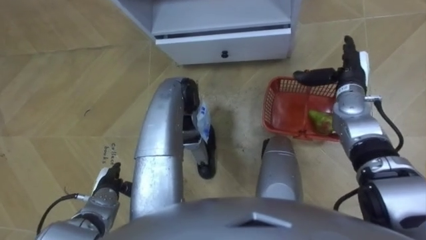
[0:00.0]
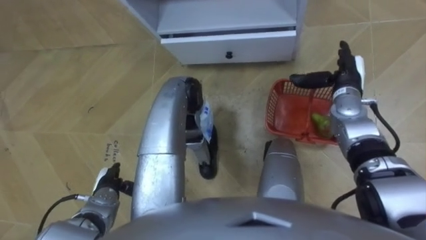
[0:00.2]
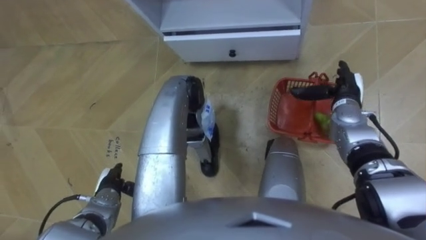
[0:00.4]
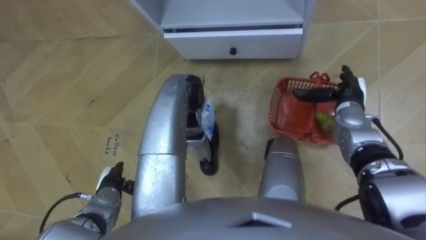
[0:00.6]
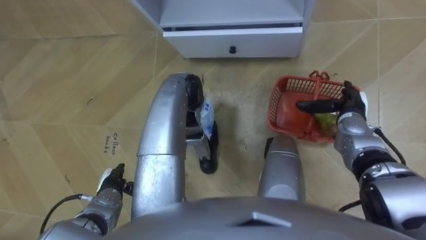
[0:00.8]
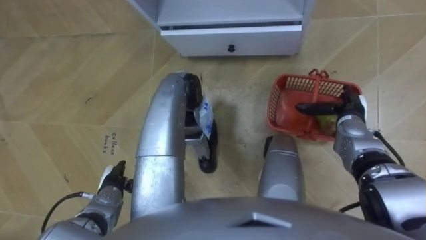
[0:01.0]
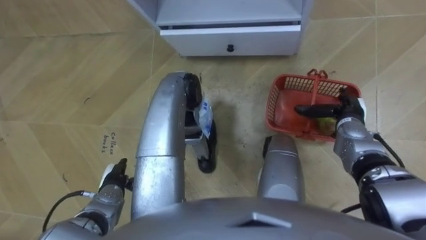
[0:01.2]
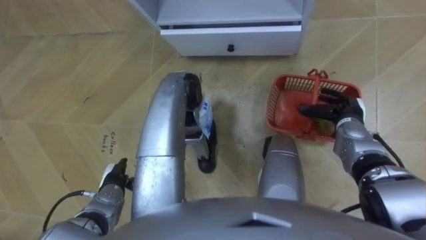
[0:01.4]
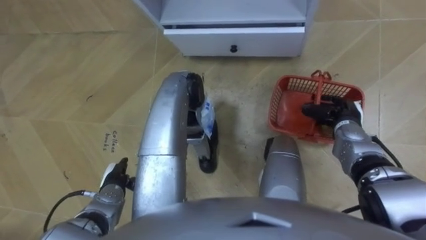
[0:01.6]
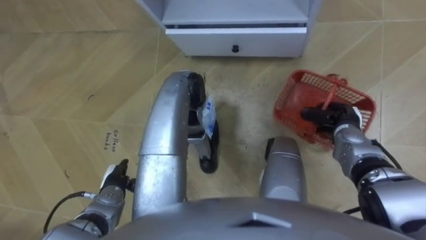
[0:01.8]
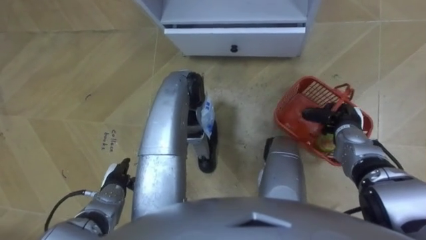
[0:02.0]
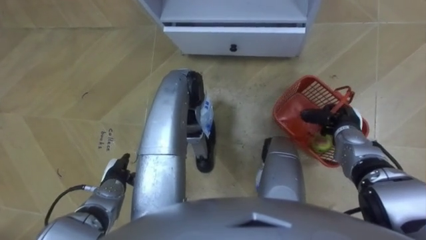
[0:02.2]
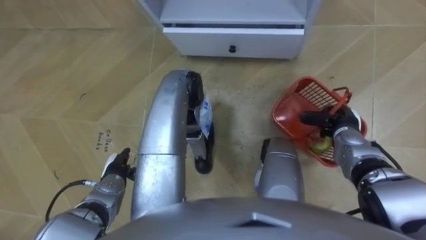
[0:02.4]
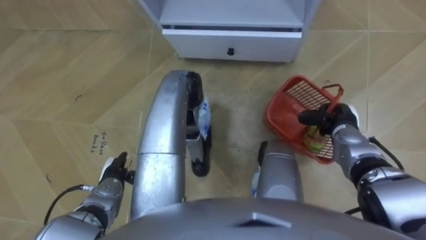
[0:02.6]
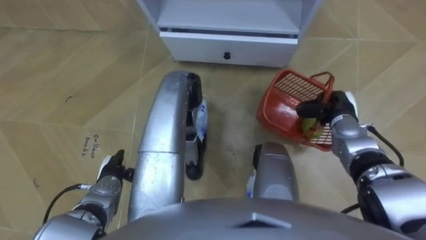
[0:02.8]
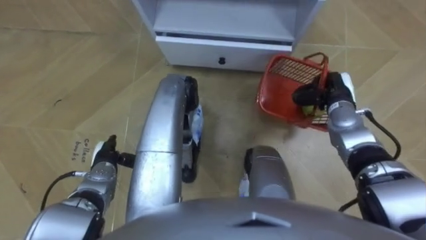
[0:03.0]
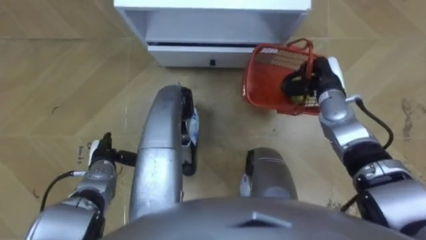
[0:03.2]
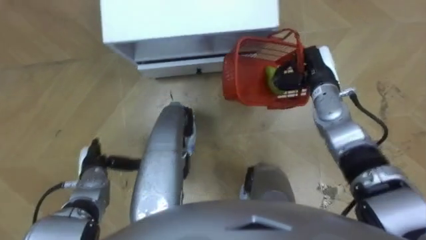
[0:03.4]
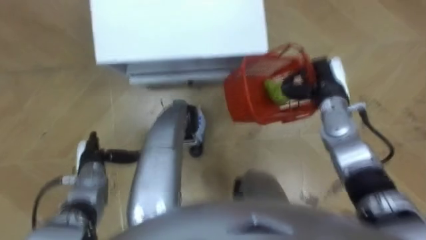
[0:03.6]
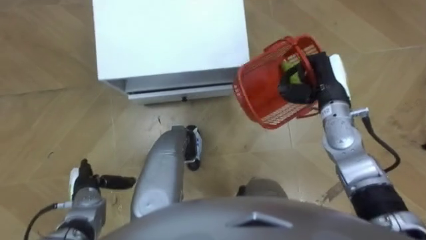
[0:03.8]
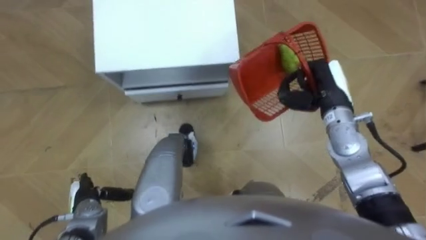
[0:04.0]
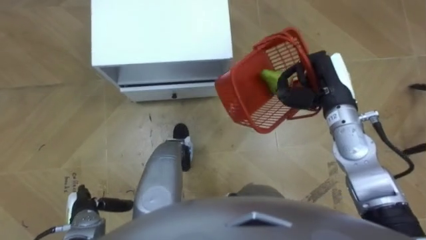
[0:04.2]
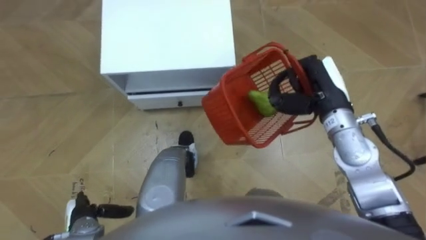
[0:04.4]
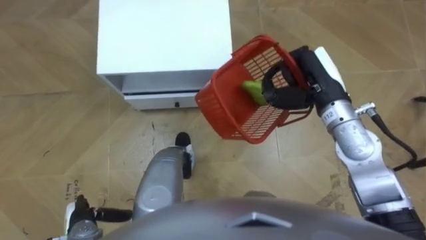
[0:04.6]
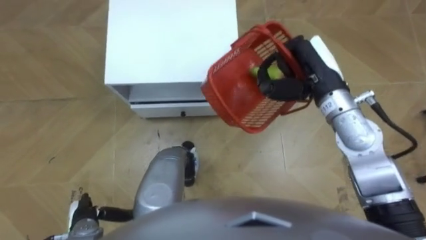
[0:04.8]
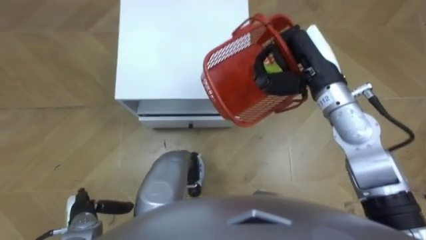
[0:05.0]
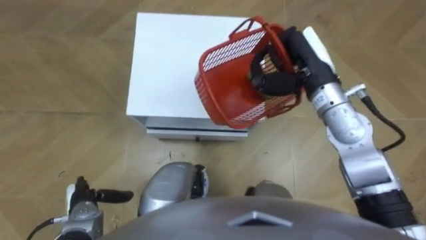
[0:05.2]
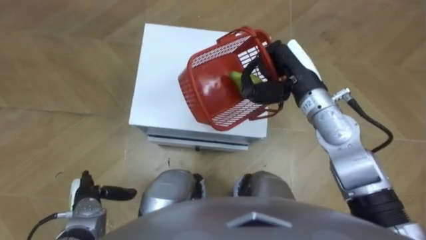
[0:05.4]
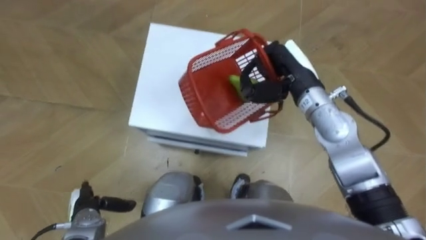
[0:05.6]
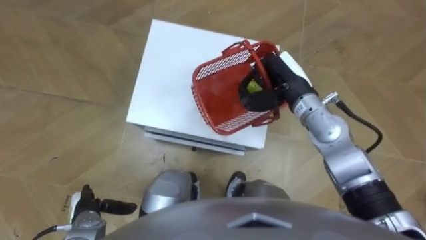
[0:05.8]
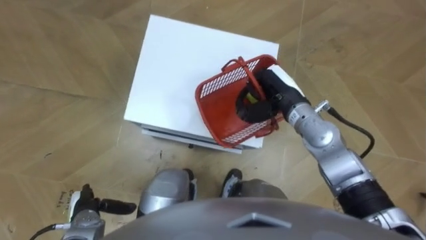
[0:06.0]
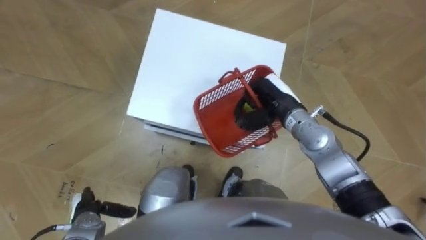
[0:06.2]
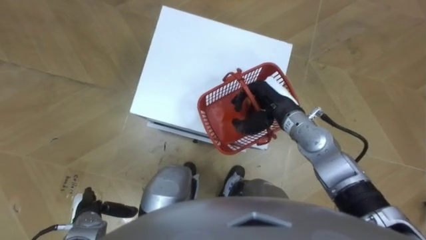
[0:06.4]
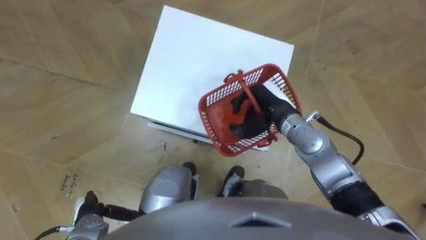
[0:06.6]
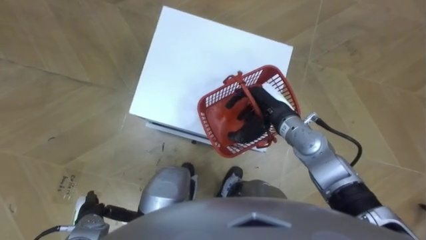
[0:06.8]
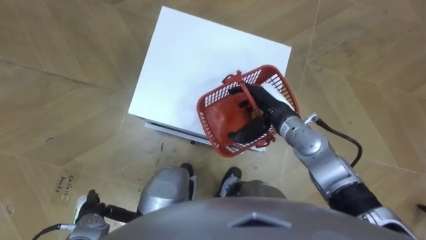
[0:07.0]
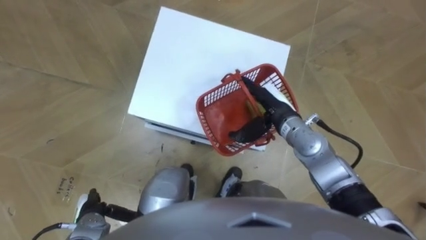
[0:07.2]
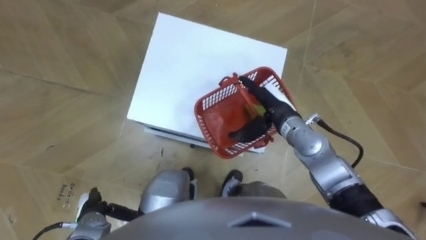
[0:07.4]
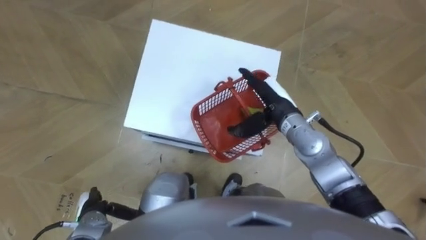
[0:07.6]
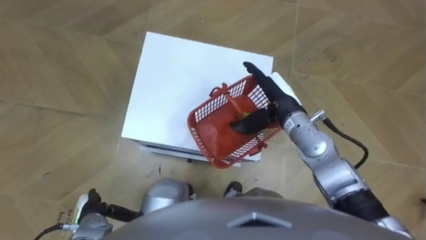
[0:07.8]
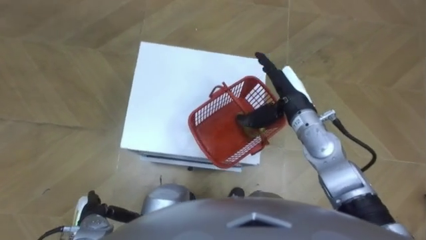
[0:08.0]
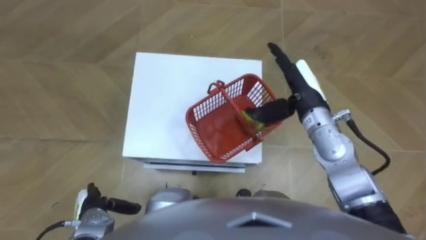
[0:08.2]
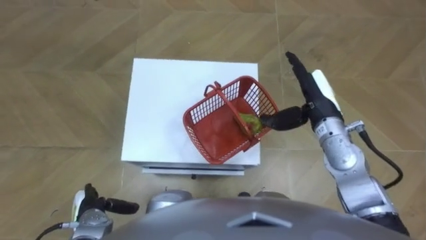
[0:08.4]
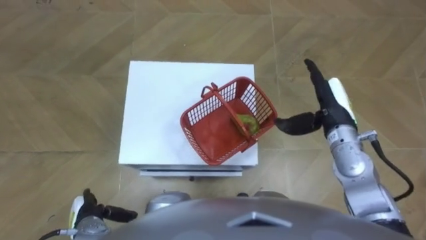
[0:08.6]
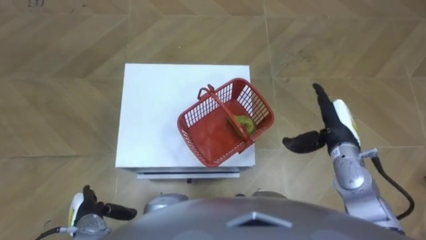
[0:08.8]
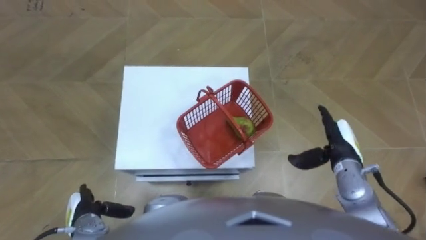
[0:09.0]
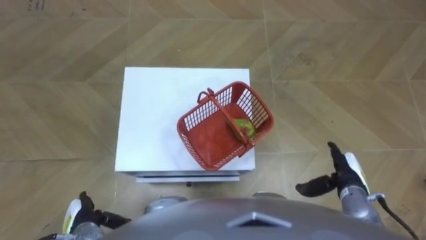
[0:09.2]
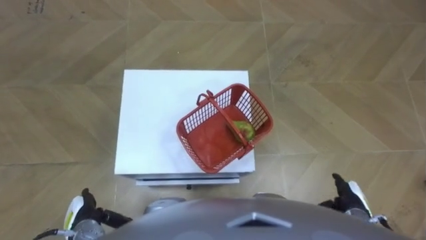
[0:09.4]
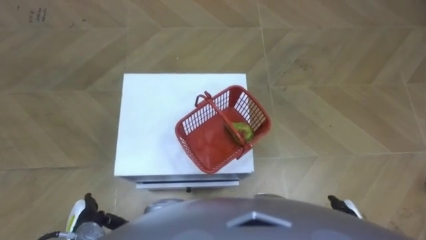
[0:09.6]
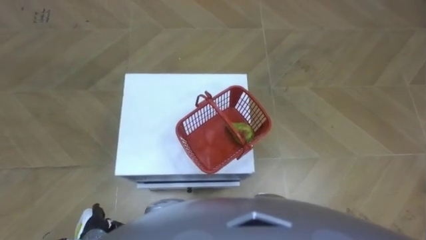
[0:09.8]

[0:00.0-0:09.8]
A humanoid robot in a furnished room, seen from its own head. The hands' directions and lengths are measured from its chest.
Task of the whole recording: Pick up the fruit basket from the floor and place it on the cabinet.
0:00.0 to 0:01.4: The right hand shifts approximately 10 cm downward and backward, and closes.
0:01.4 to 0:02.8: The right hand closes its fingers.
0:02.8 to 0:04.2: The robot faces some 15 degrees further to its right. The left hand heads backward and to the left, covering approximately 10 cm; the right hand travels upward and to the left by roughly 15 cm.
0:04.2 to 0:05.6: The right hand shifts approximately 5 cm to the left.
0:05.6 to 0:07.0: The right hand travels downward by some 10 cm, and opens.
0:07.0 to 0:08.4: The right hand travels to the right by roughly 5 cm.
0:08.4 to 0:09.8: The right hand is displaced backward and downward by roughly 30 cm.

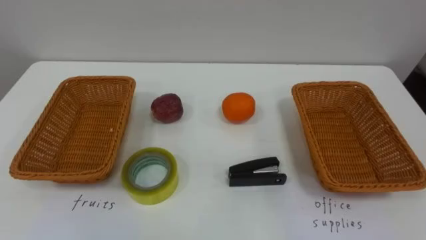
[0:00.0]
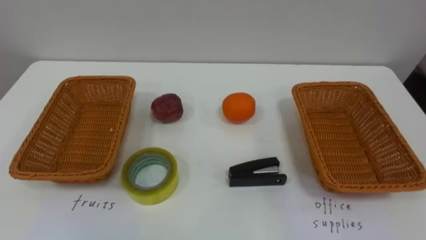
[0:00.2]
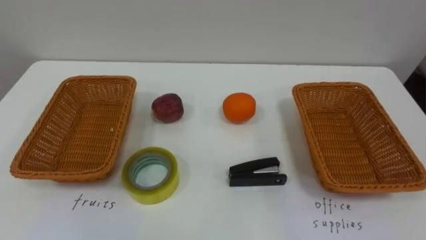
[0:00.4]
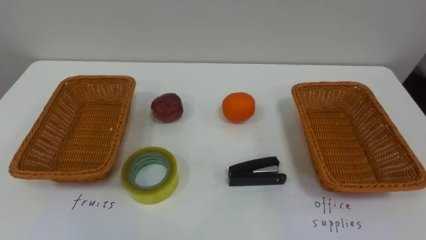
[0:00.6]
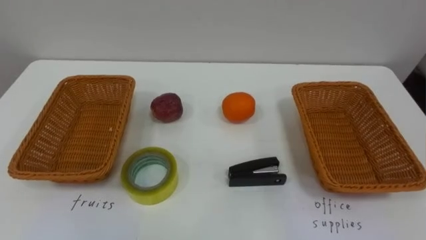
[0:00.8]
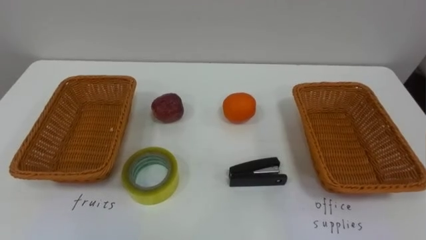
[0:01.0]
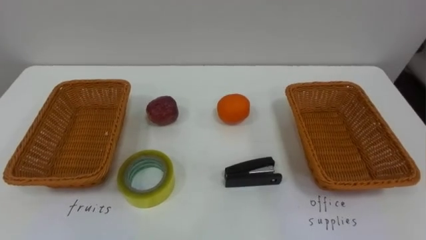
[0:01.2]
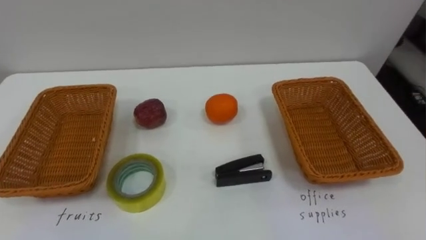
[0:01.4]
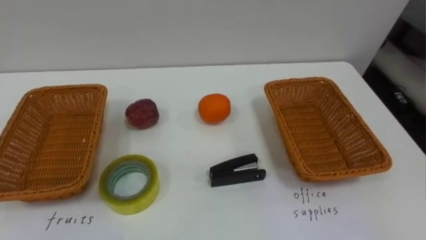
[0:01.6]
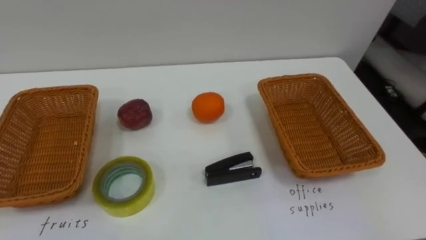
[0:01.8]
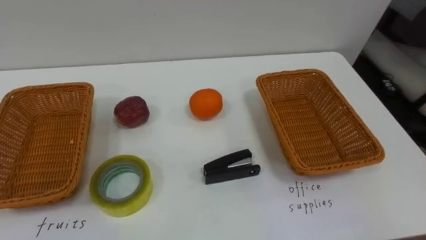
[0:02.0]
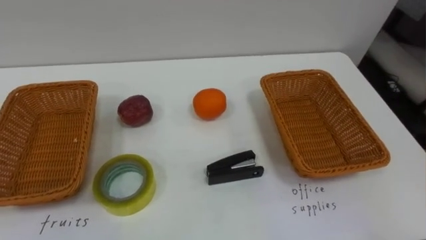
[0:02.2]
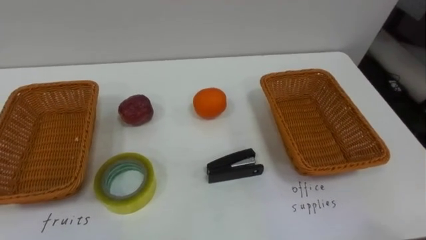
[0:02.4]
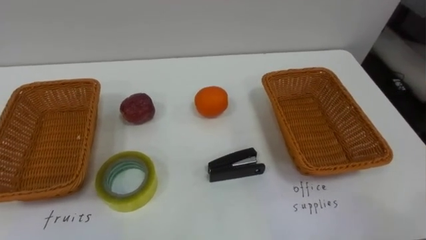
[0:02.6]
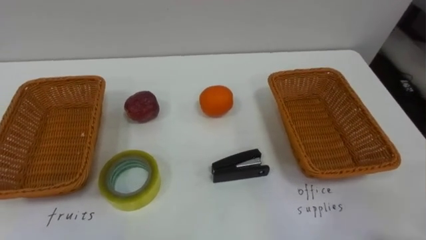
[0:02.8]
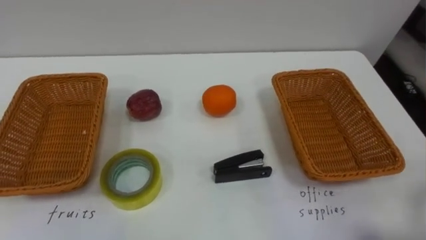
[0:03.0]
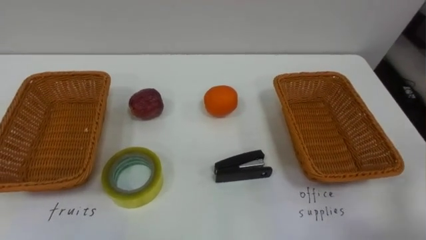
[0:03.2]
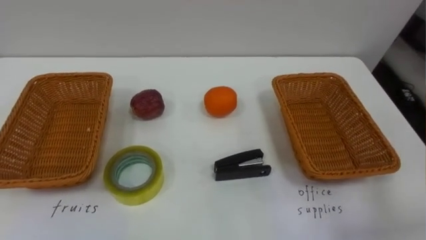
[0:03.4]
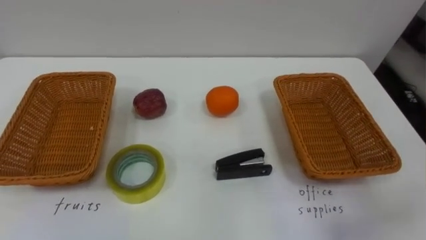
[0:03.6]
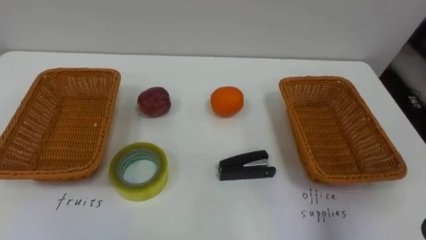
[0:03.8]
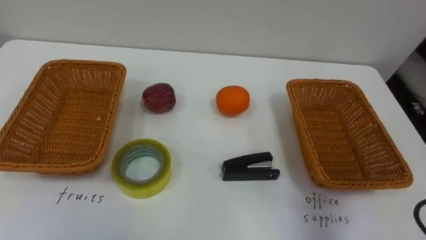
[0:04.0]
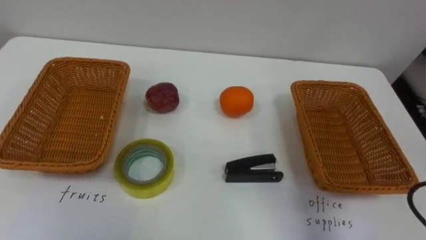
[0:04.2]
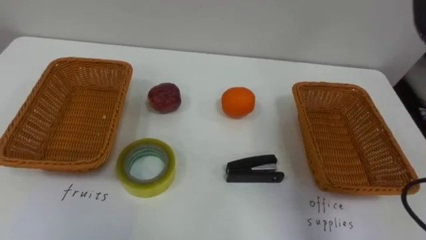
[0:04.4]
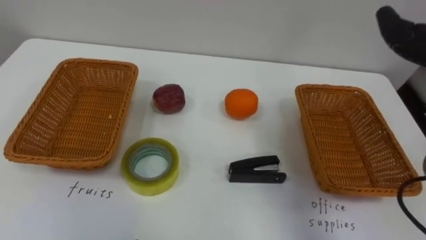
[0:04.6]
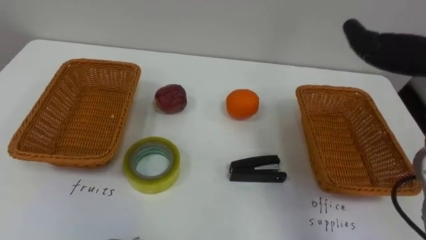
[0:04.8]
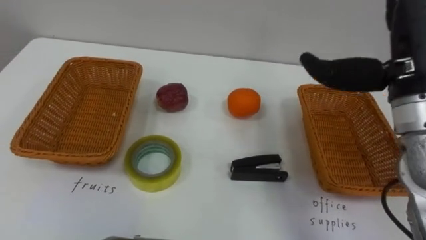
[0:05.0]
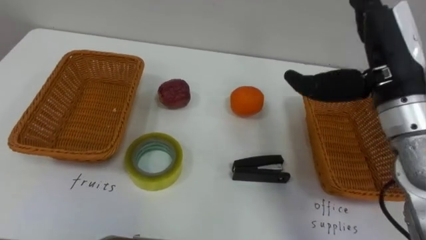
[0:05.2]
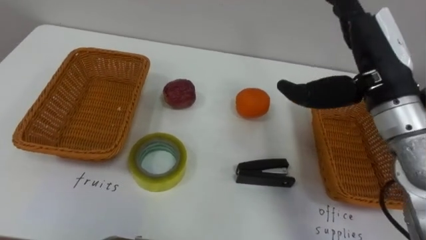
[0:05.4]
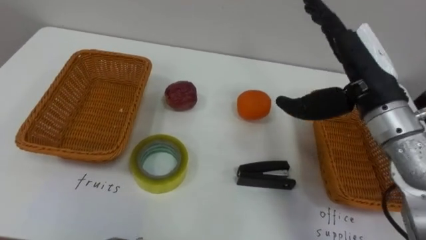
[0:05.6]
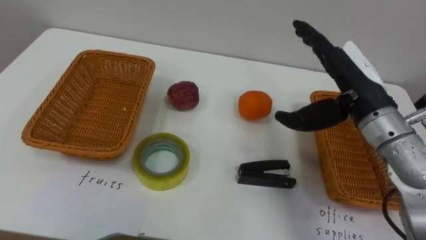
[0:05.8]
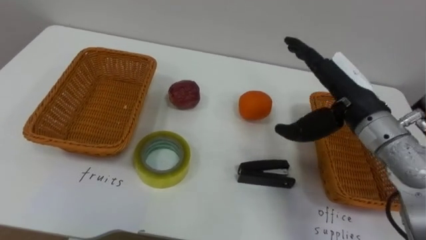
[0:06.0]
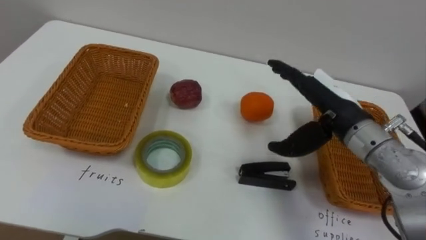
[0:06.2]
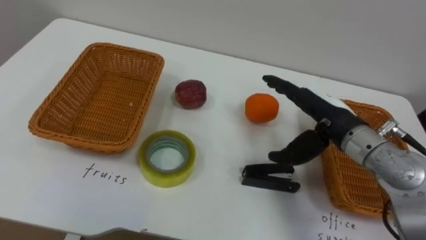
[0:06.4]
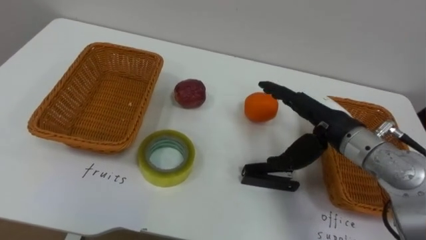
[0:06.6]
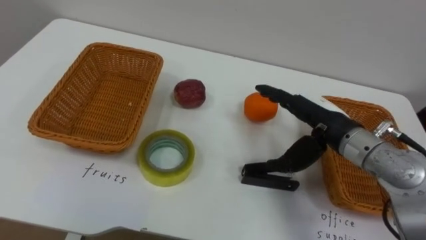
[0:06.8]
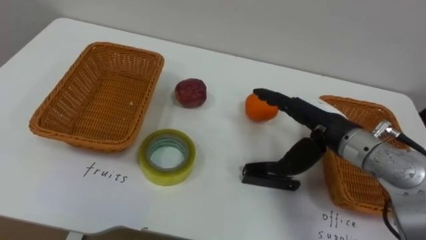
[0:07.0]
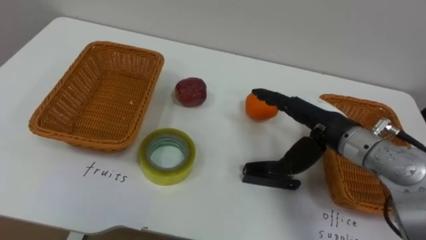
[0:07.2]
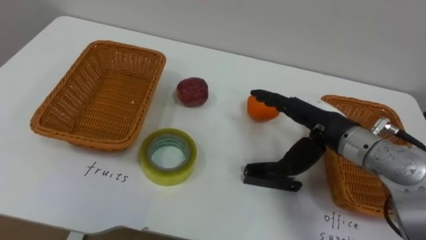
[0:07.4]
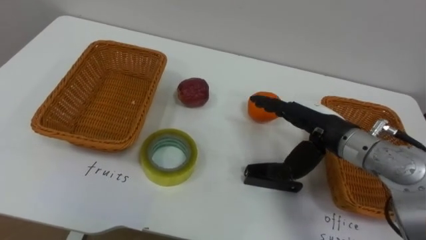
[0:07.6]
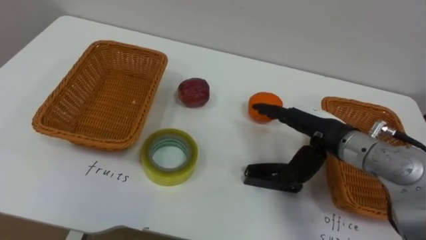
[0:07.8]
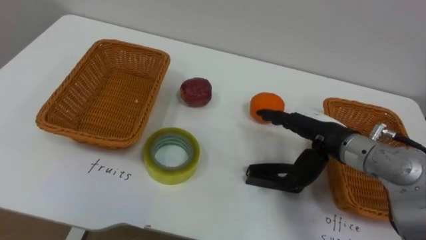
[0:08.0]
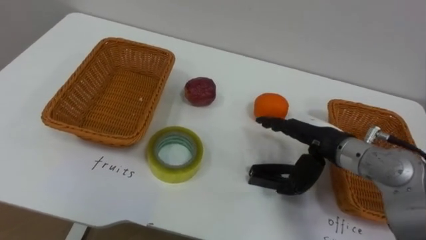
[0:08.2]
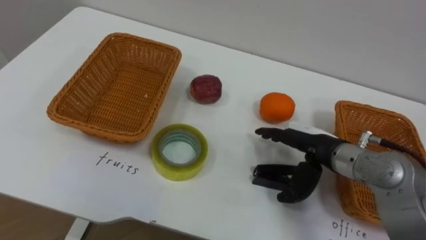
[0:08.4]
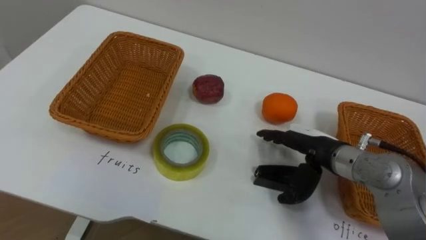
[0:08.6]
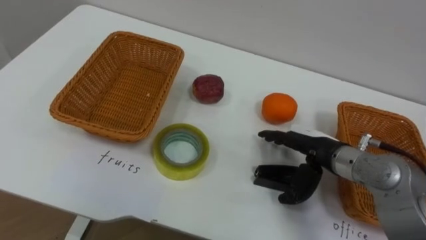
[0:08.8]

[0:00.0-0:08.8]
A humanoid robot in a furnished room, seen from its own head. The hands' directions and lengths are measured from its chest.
Task of the whole recording: Separate the items on the table and place them into the two baskets.
0:05.8 to 0:07.4: The right hand goes approximately 5 cm downward.
0:07.4 to 0:08.8: The right hand shifts some 5 cm downward.
